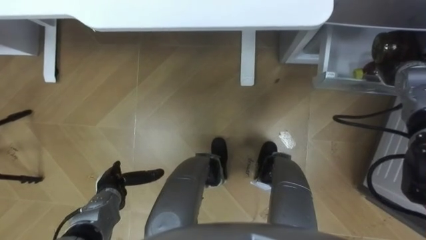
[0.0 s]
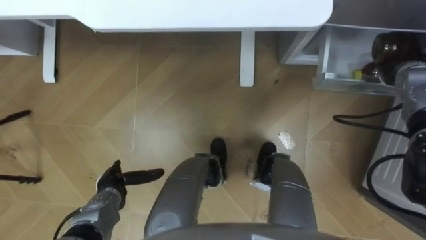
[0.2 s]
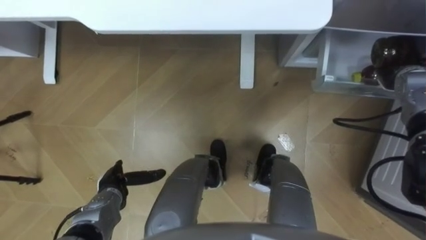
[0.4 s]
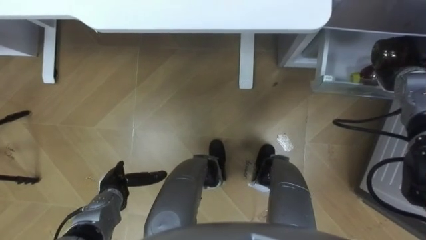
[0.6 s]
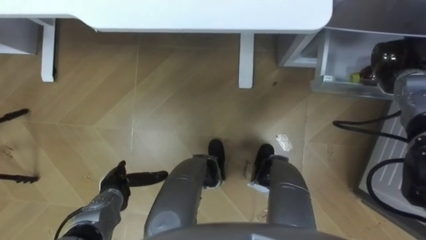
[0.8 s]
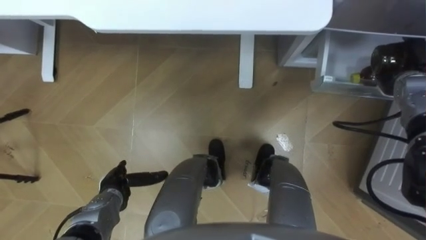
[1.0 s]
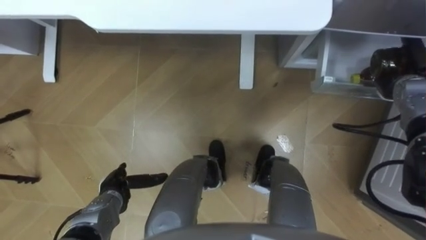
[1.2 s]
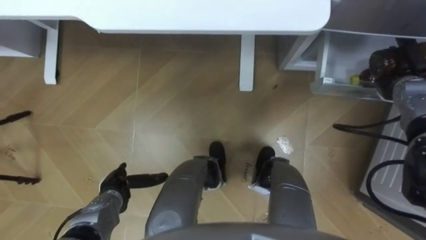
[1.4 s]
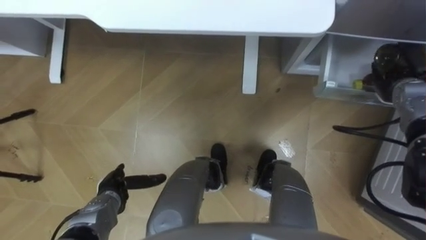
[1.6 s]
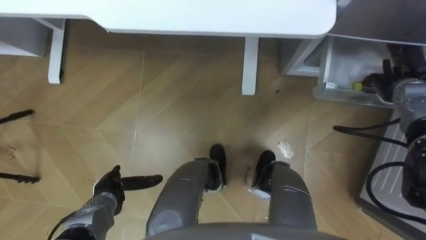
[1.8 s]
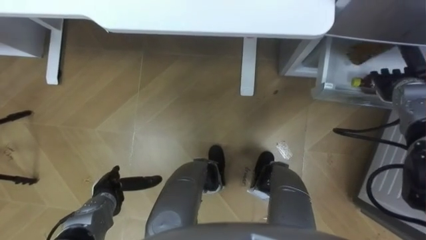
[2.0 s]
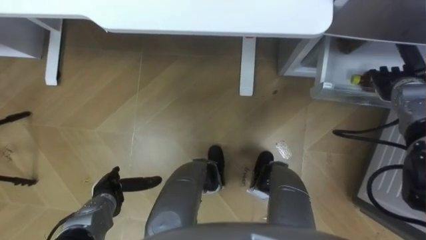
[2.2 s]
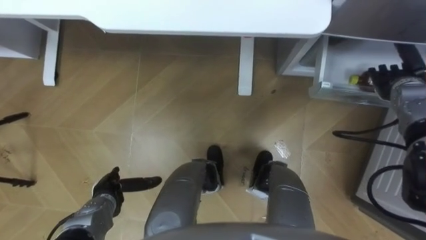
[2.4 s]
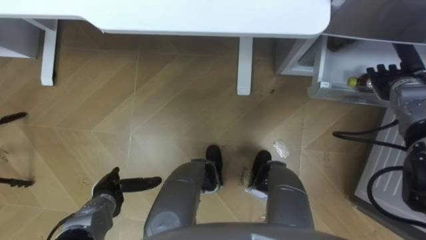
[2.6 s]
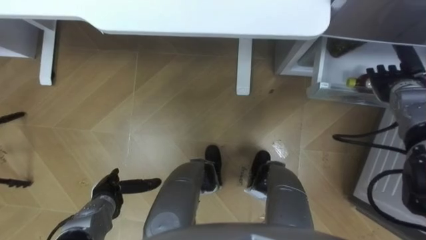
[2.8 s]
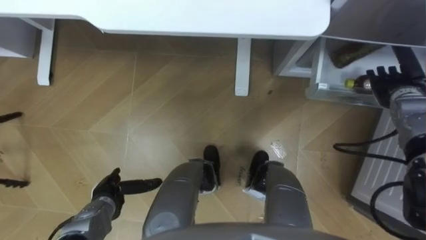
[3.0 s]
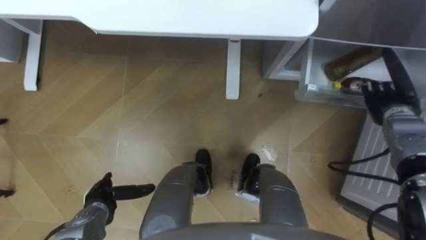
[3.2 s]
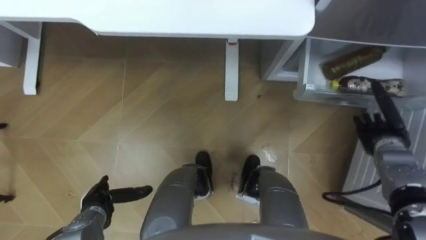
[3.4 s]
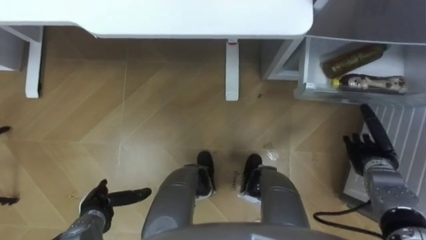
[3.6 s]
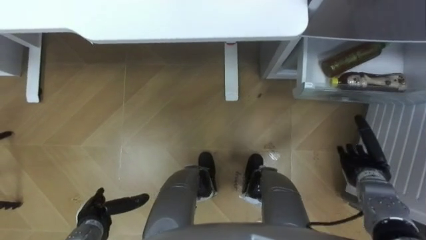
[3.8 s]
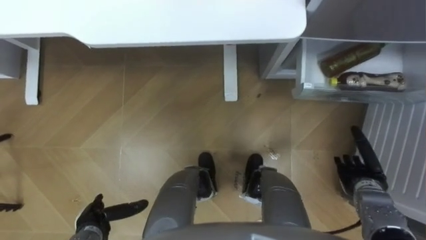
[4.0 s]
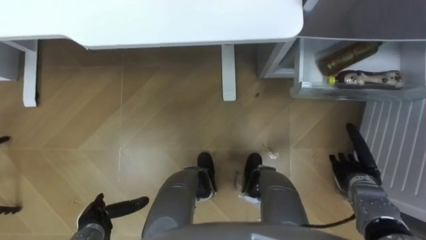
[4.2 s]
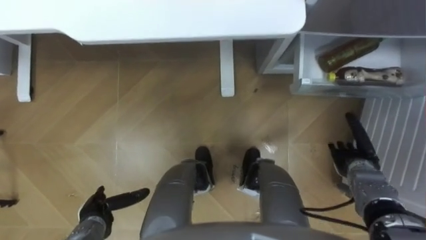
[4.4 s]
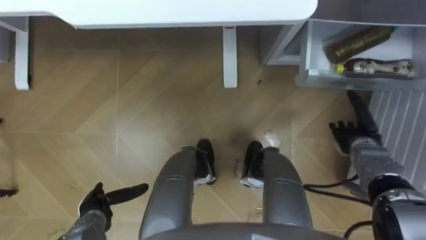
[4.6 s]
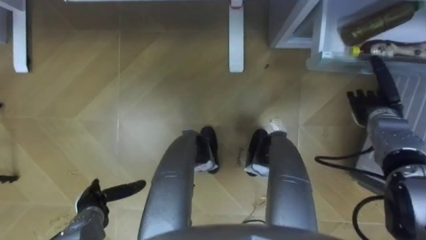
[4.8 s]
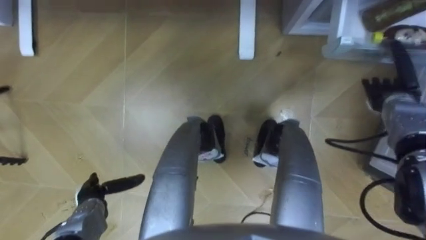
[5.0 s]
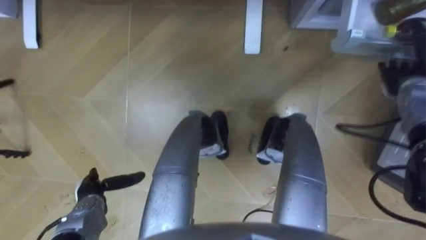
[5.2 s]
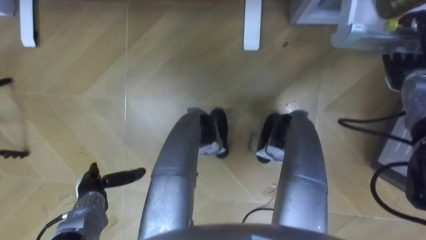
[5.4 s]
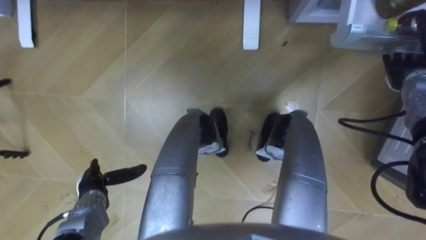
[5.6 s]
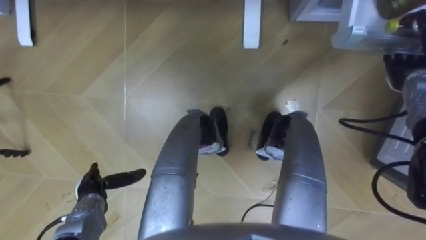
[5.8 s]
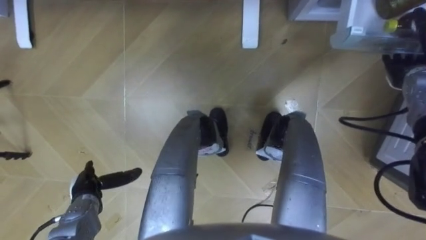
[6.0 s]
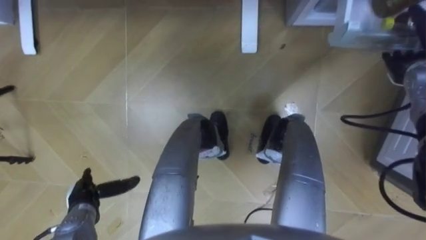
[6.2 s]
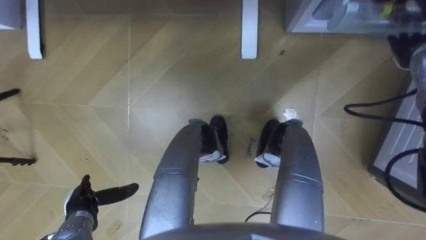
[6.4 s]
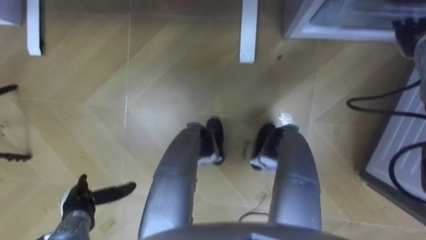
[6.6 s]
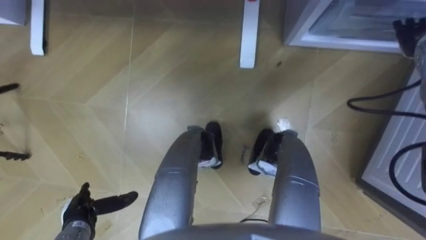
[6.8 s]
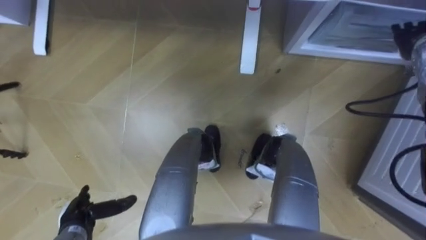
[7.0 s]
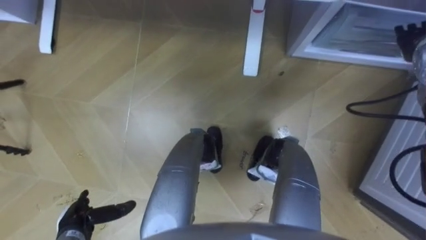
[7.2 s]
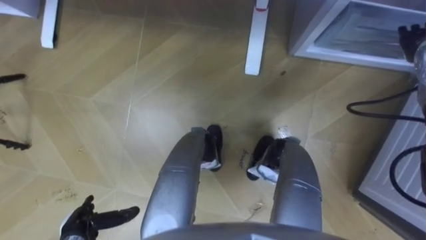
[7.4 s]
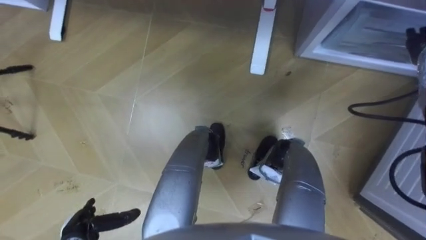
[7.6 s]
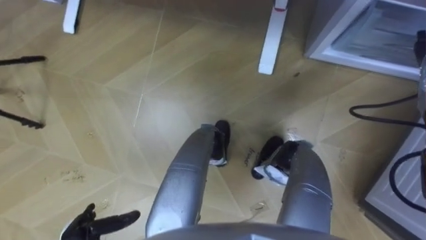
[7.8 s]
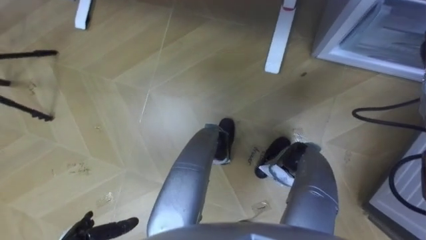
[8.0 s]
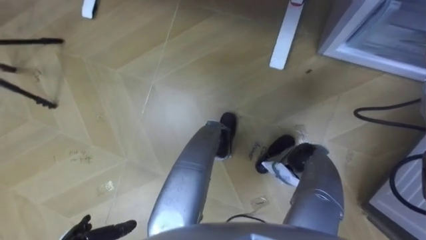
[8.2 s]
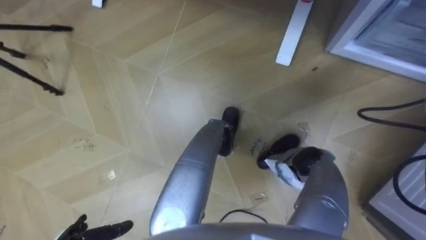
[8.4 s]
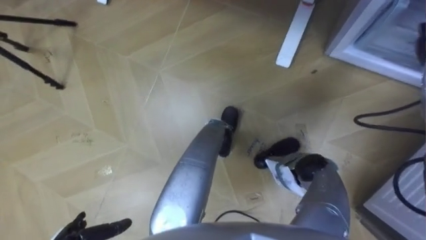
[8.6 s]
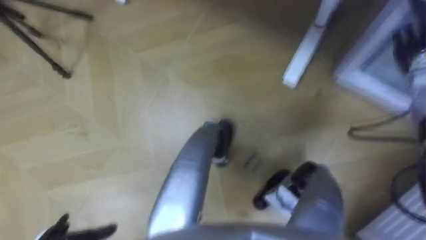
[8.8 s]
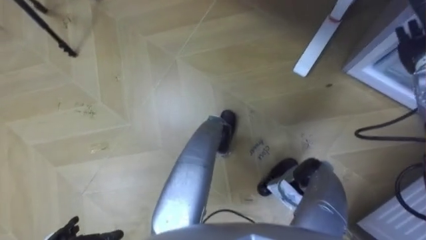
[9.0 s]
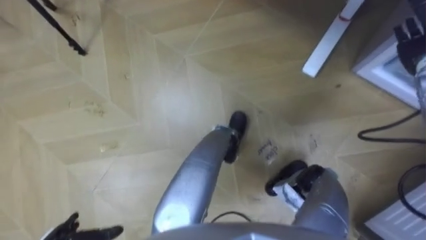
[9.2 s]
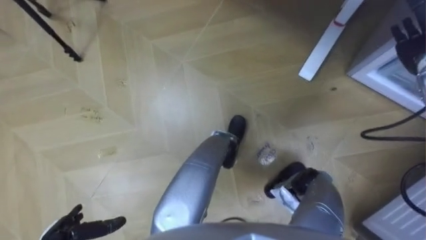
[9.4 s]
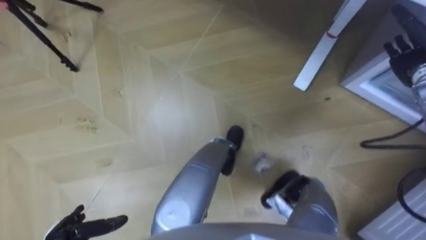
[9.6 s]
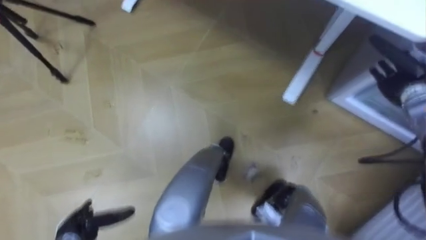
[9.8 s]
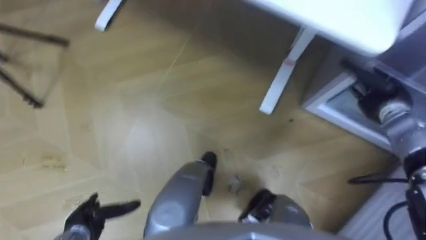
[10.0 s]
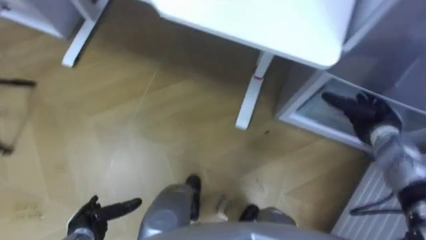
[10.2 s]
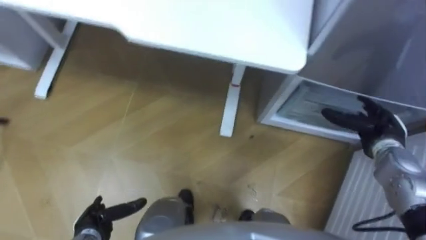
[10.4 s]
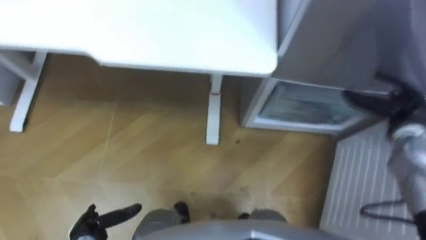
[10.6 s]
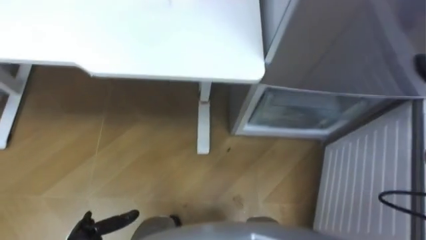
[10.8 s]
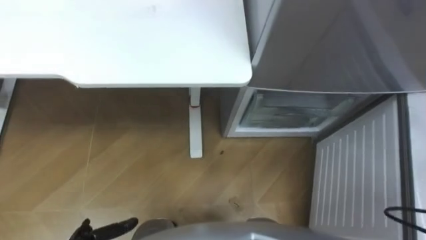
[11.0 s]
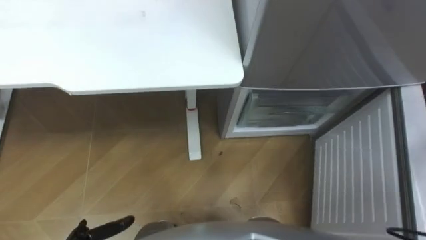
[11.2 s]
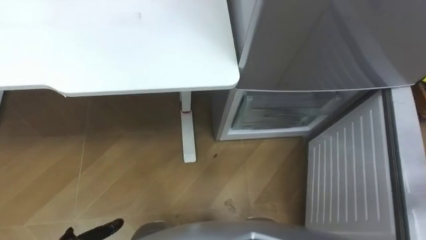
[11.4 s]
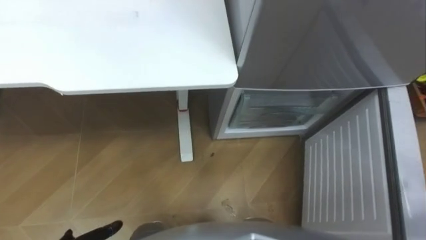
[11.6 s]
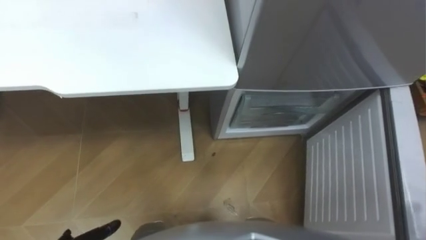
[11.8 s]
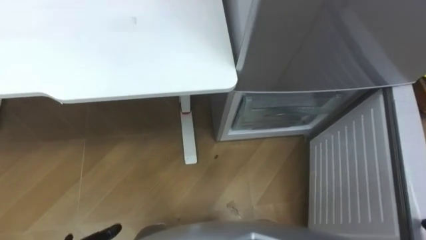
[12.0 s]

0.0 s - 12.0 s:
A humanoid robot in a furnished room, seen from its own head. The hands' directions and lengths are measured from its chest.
Task of the whole recording: Place the drink on the table on the bottom shelf of the refrigerator, then close the drawer and the refrigerator door.
0.0 s - 1.6 s: The right hand opens.
3.0 s - 4.4 s: The right hand moves backward, downward and to the left, about 20 cm. The left hand moves approximately 5 cm.
4.4 s - 6.0 s: The left hand travels forward by about 5 cm; the right hand is displaced forward, upward and to the right by roughly 25 cm.
6.0 s - 7.6 s: The left hand shifts approximately 10 cm backward.
9.0 s - 10.4 s: The right hand travels backward and downward by some 15 cm.

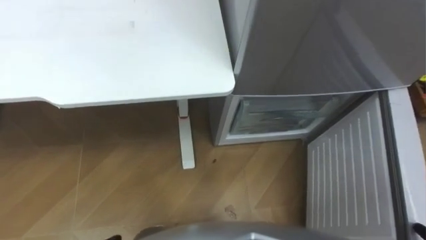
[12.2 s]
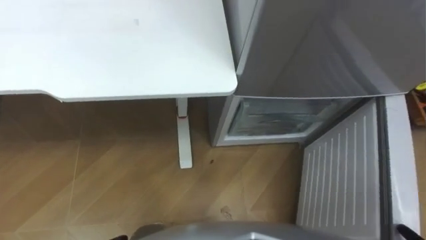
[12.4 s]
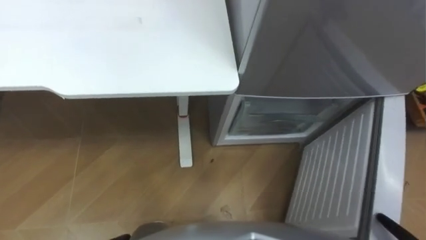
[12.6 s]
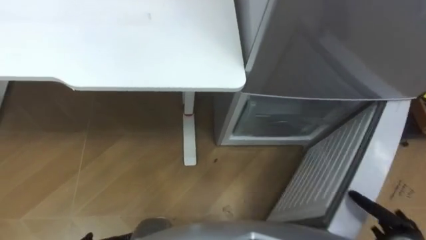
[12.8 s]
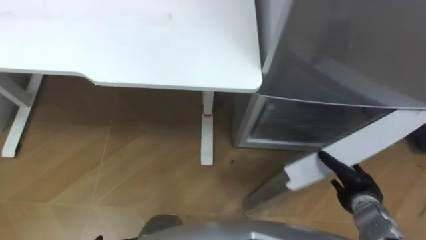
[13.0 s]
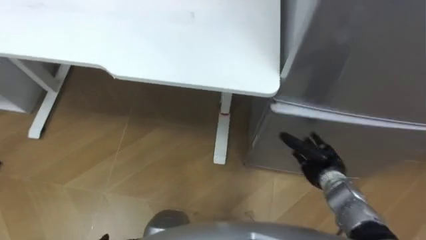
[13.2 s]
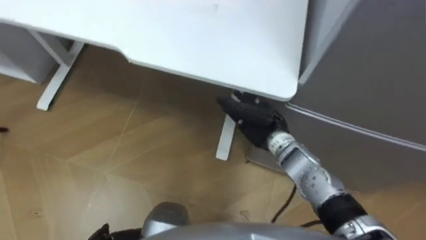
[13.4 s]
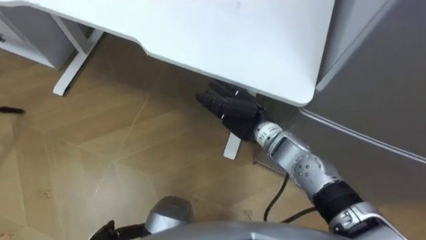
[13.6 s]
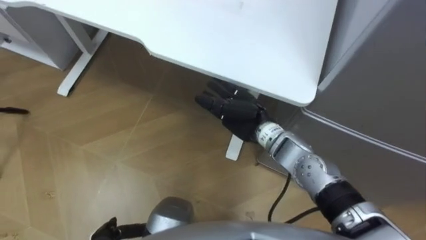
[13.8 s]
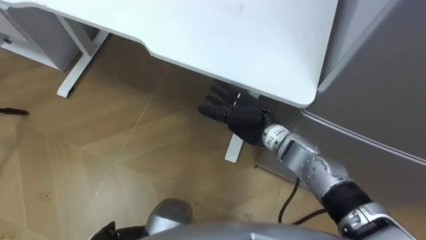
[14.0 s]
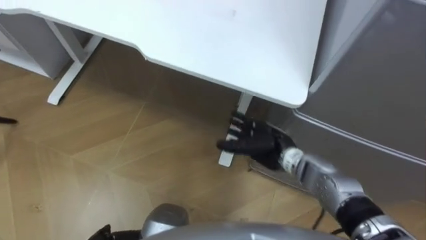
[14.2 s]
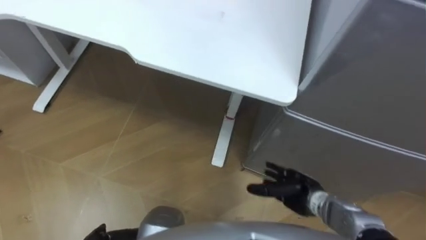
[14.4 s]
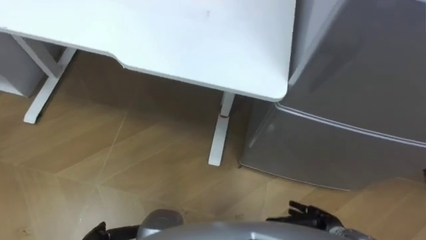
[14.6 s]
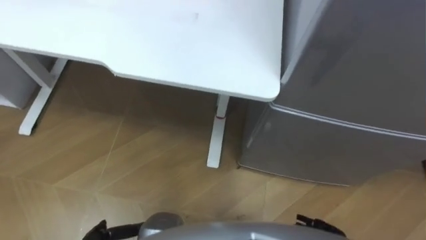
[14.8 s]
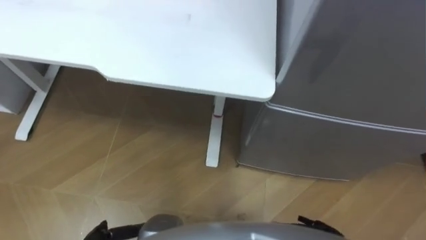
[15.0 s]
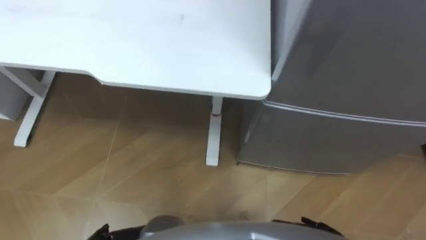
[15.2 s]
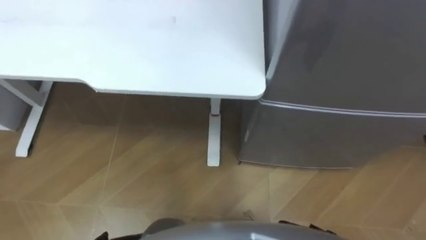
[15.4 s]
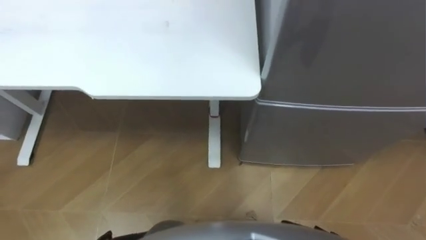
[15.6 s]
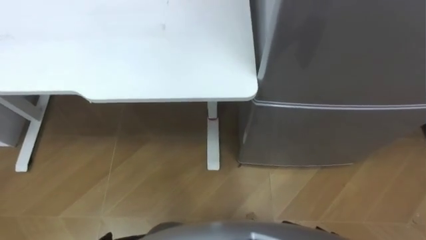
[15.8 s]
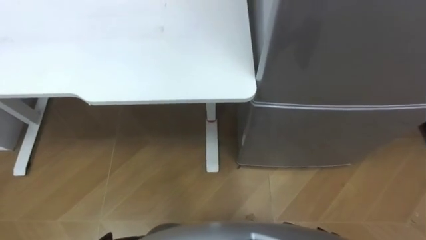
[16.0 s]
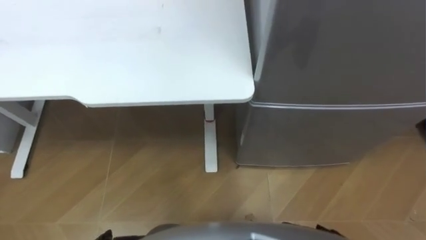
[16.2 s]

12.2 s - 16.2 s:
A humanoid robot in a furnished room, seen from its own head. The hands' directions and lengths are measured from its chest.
Task of the whole recording: Place the drink on the table on the bottom shelf of the refrigerator, then close the drawer and the refrigerator door.
13.6 s - 14.8 s: The right hand is displaced backward, to the right and downward by about 35 cm.

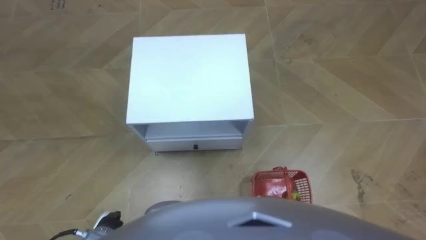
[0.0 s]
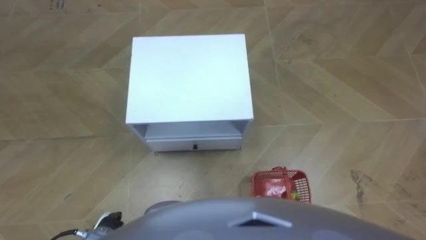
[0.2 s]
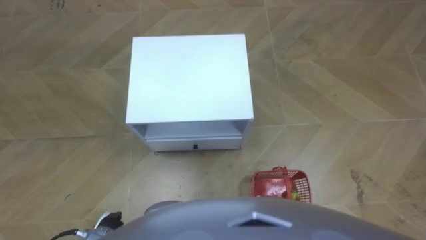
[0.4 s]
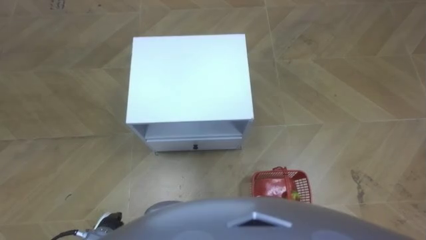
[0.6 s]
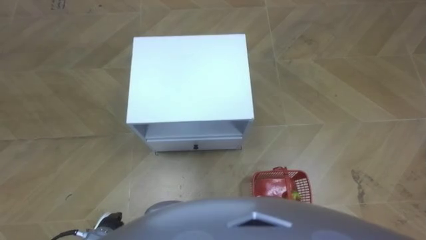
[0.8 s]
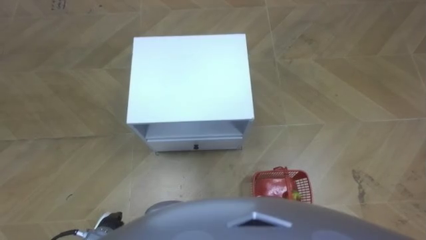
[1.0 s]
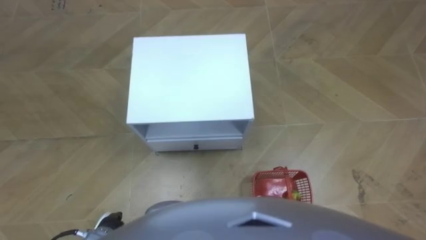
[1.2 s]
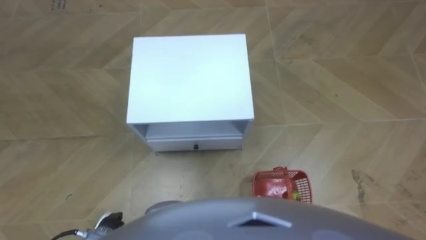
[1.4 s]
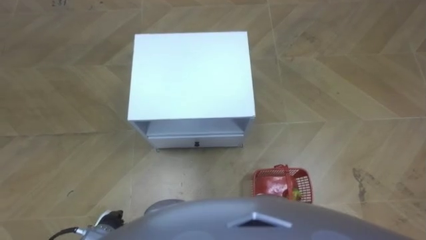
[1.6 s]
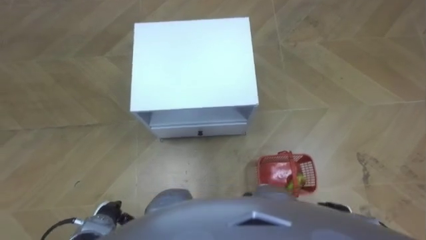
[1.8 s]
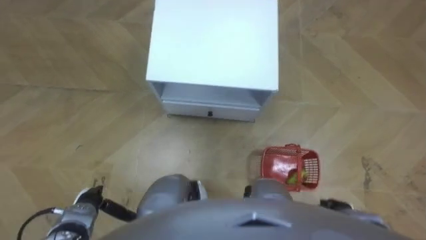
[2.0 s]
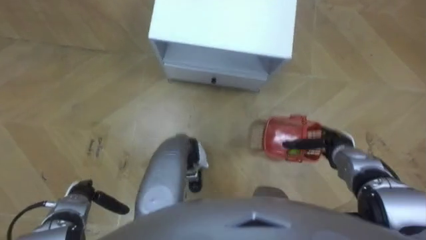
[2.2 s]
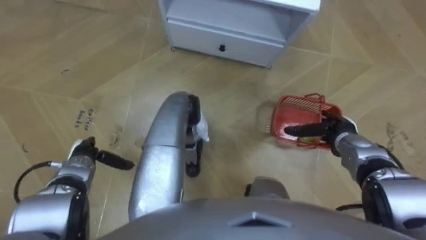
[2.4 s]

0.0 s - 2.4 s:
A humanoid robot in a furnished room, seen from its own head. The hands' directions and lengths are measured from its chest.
Task of the whole recording: Pick up the fruit basket from the floor and place it on the cabinet.
1.2 s - 2.4 s: The hands both shift forward by roughly 20 cm.
